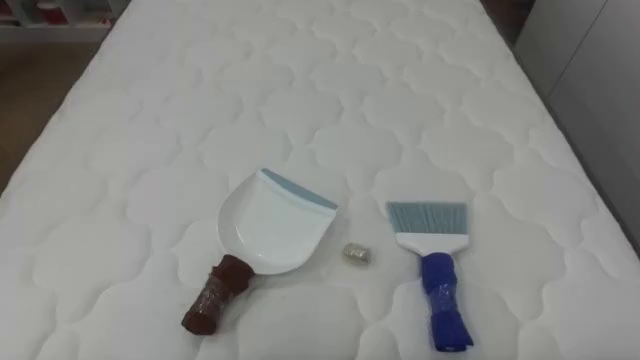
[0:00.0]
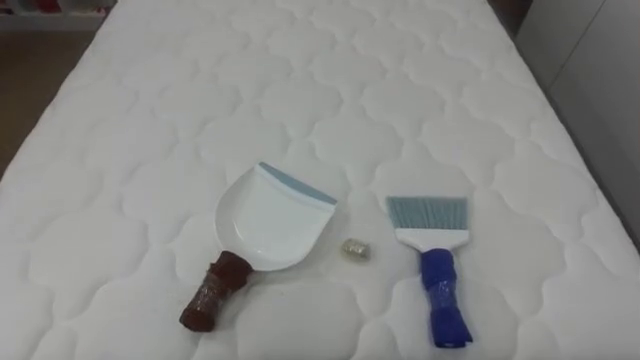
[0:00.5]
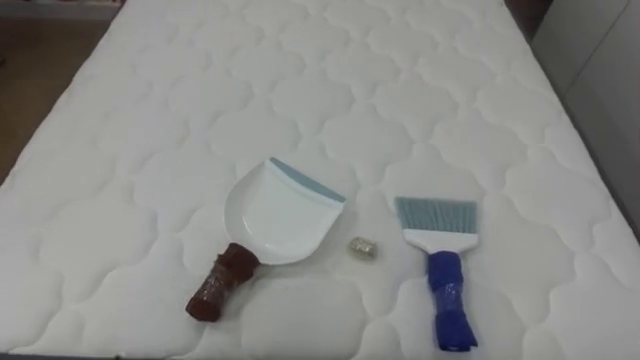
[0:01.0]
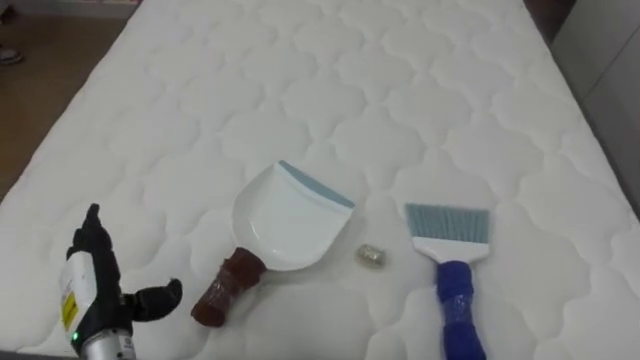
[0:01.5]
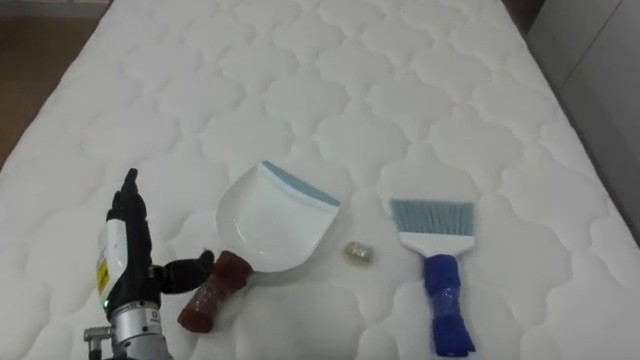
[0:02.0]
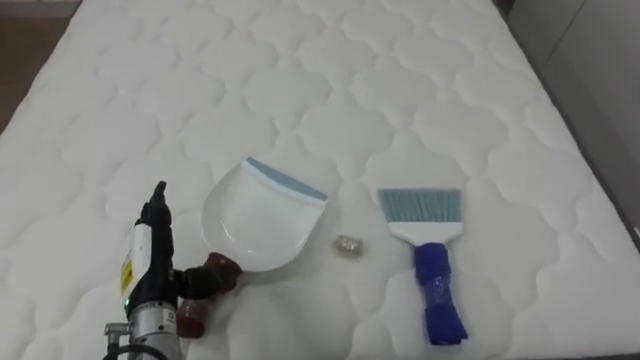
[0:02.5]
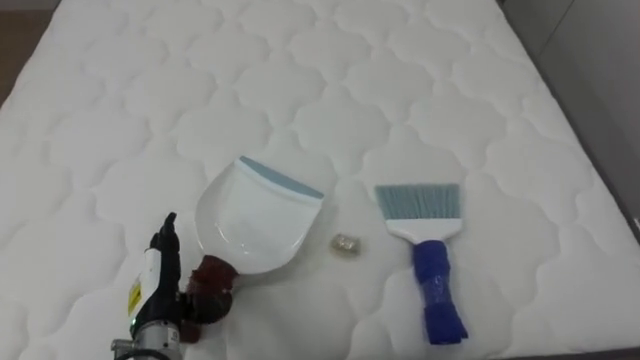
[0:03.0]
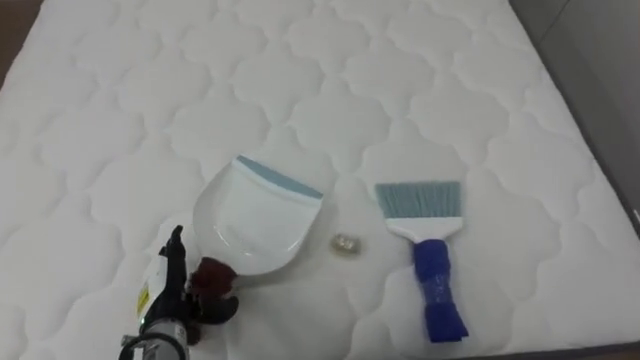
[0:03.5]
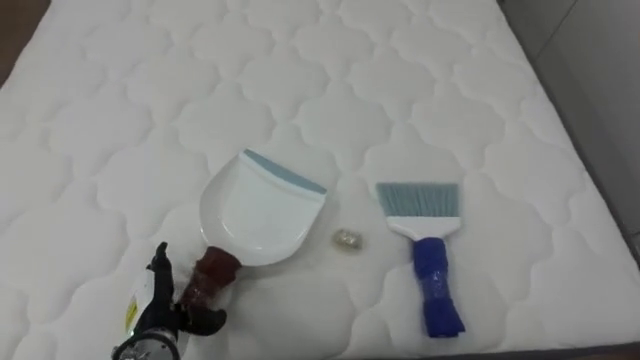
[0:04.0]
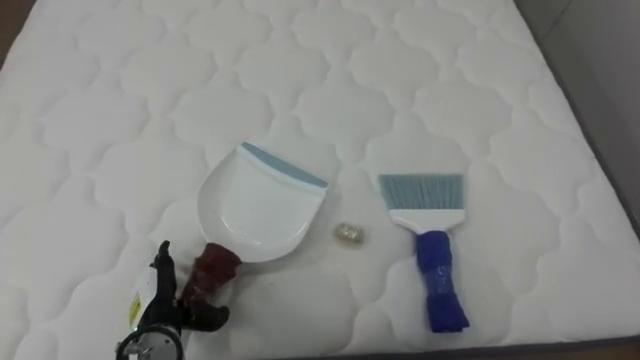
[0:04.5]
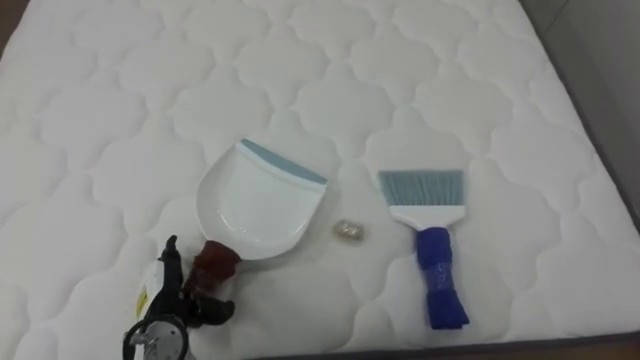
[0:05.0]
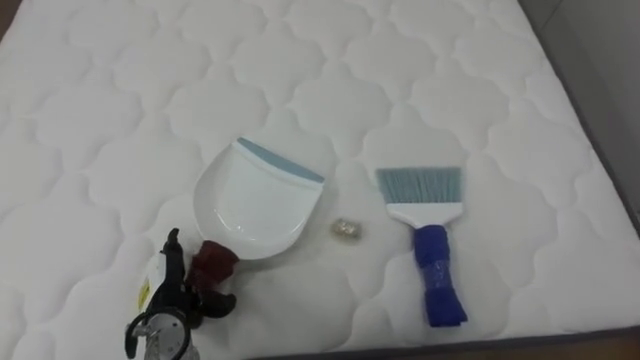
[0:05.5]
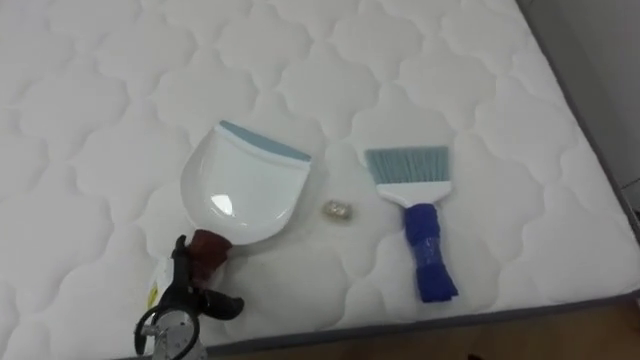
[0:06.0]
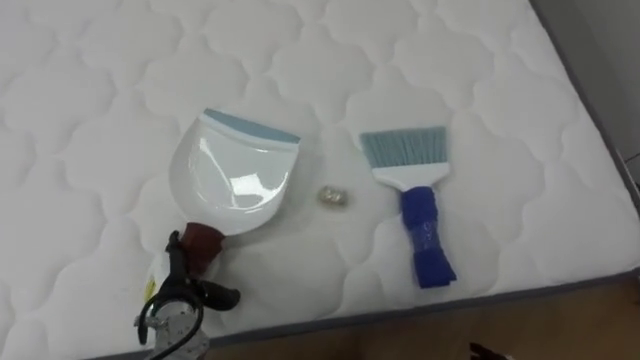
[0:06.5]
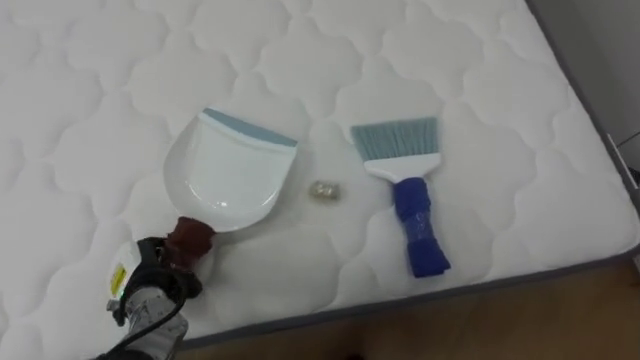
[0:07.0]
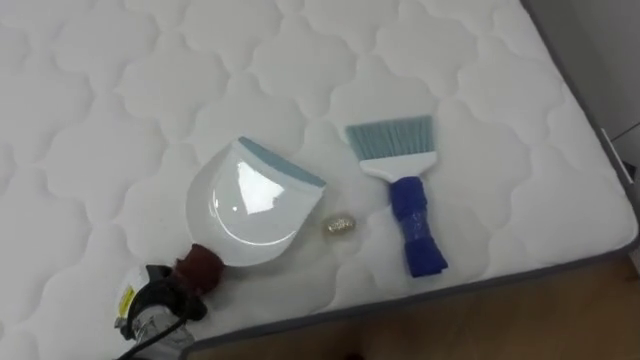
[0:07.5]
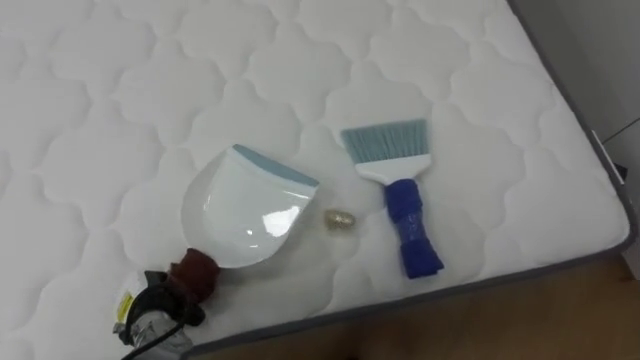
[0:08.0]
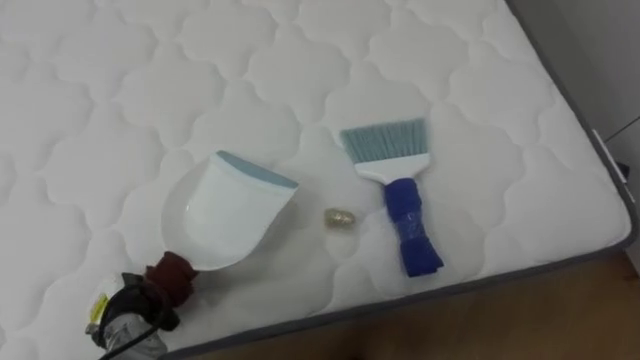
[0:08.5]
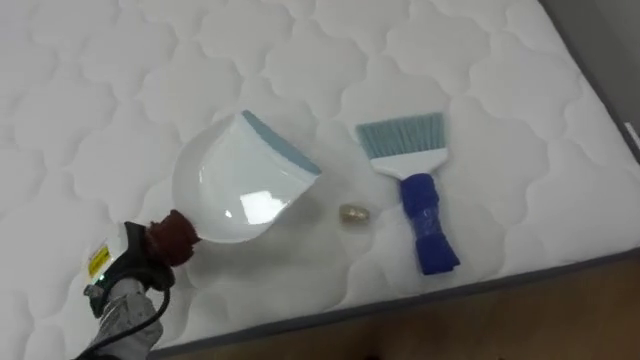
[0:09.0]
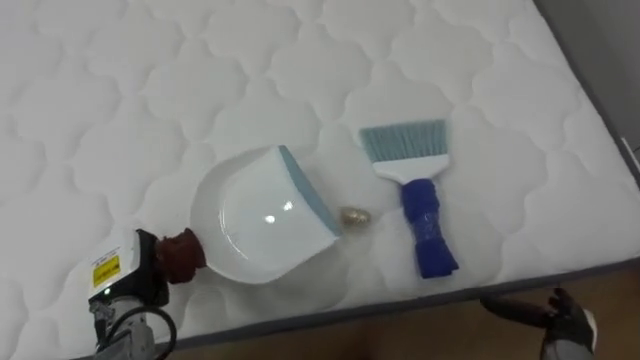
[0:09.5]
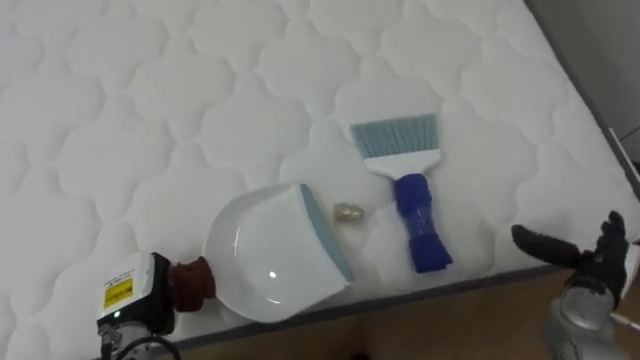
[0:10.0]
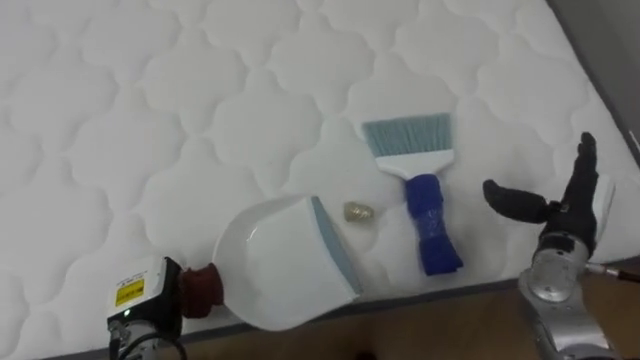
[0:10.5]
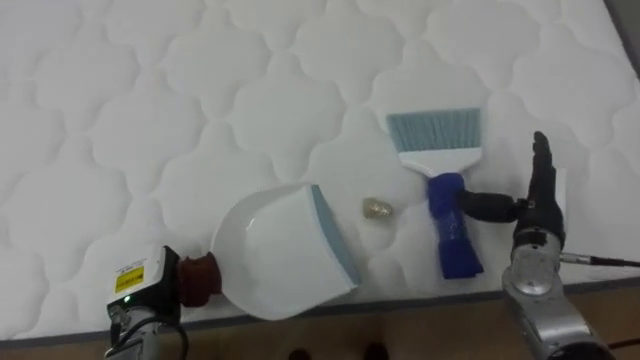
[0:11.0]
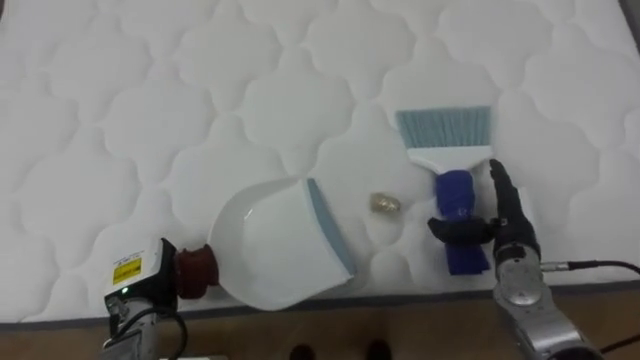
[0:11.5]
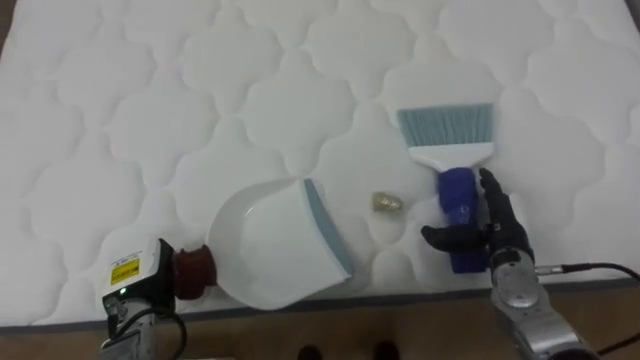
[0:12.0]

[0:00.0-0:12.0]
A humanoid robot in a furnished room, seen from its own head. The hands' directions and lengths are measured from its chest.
Task of the whole recording: Pick up the brush on your right and the dustpan on your left. Use the brush to sweep the crumpled paper on the bed into the dustpan, then turn left and empty it into the basket.
0:02.0 to 0:04.0: The left hand is displaced downward by about 10 cm.
0:06.0 to 0:08.0: The left hand closes.
0:10.0 to 0:12.0: The right hand heads to the left and forward, covering approximately 10 cm.

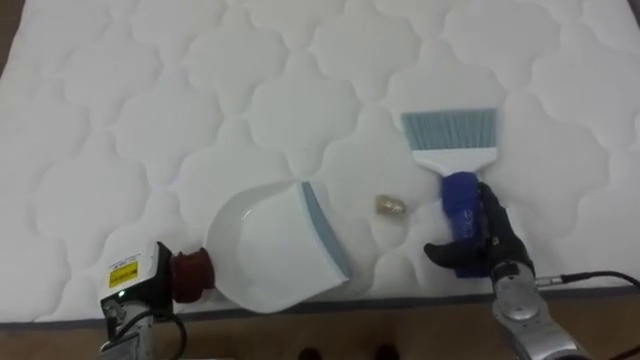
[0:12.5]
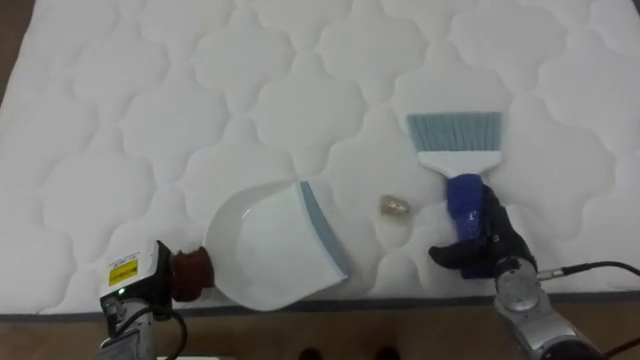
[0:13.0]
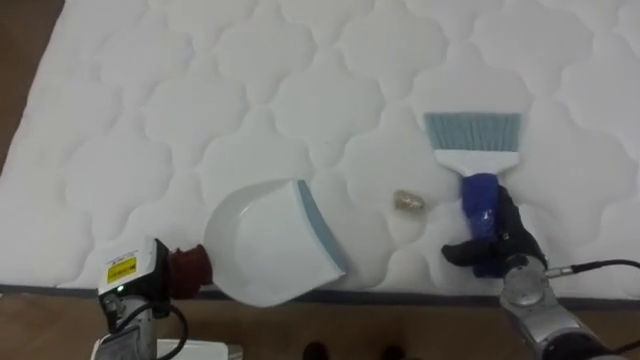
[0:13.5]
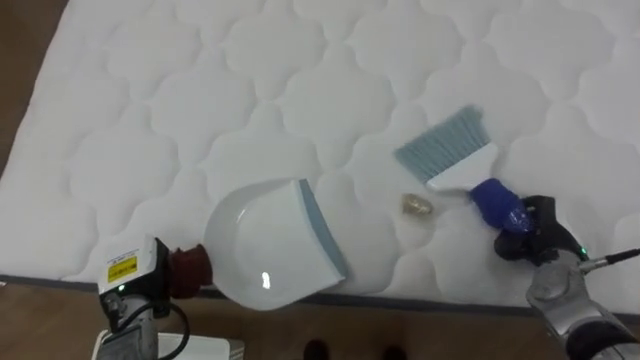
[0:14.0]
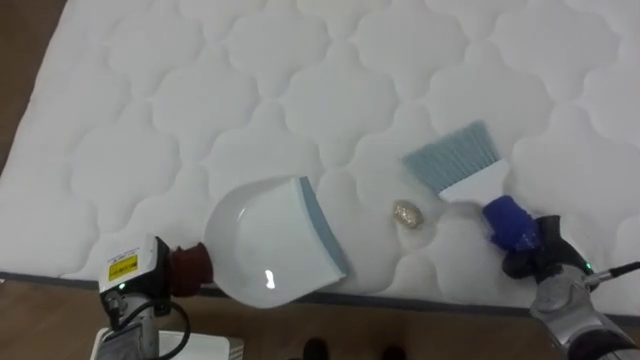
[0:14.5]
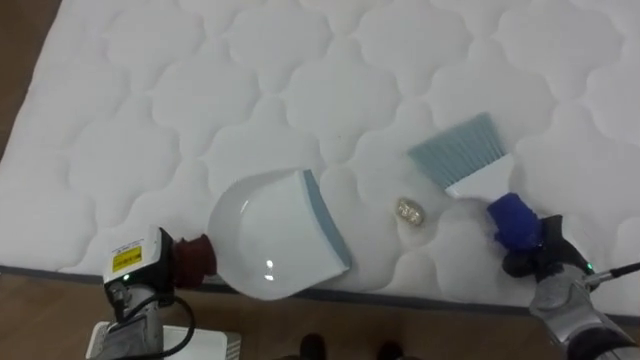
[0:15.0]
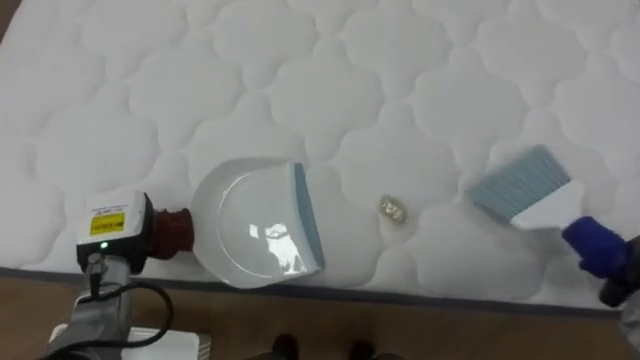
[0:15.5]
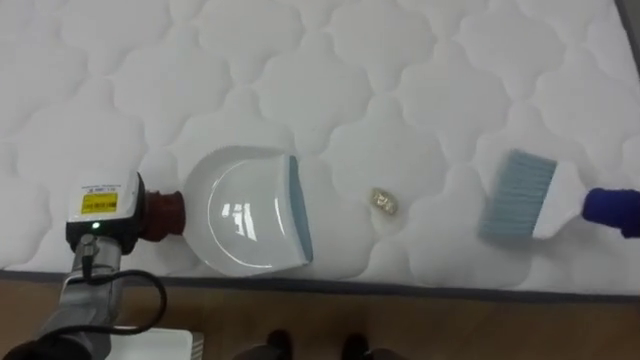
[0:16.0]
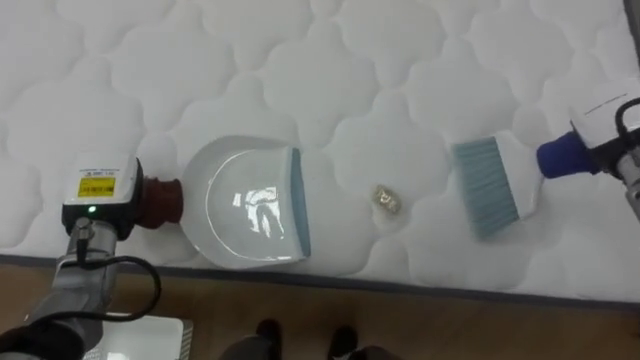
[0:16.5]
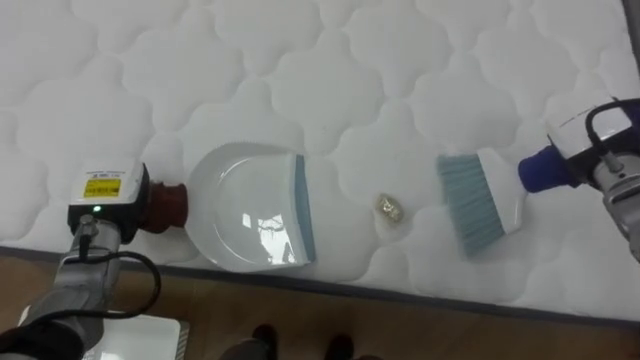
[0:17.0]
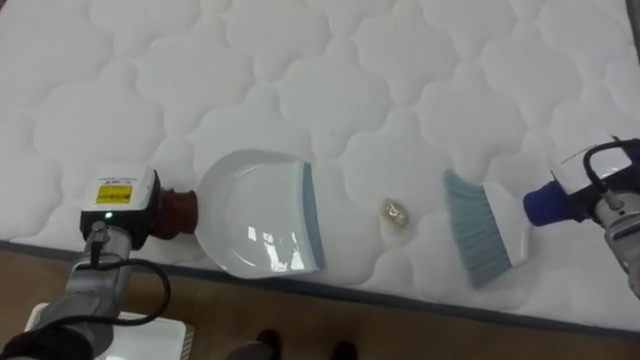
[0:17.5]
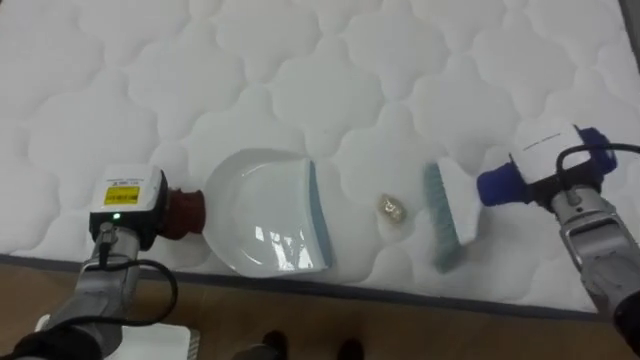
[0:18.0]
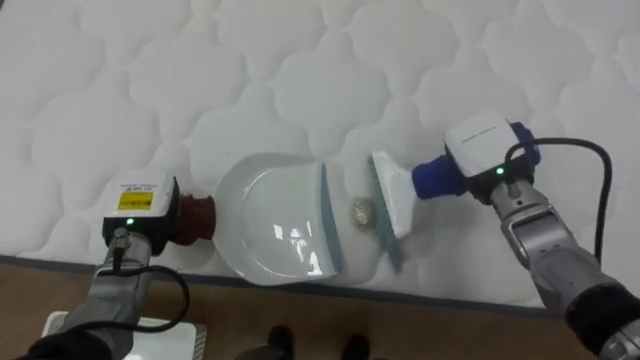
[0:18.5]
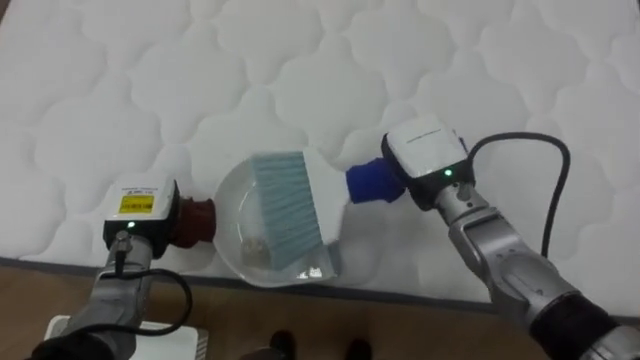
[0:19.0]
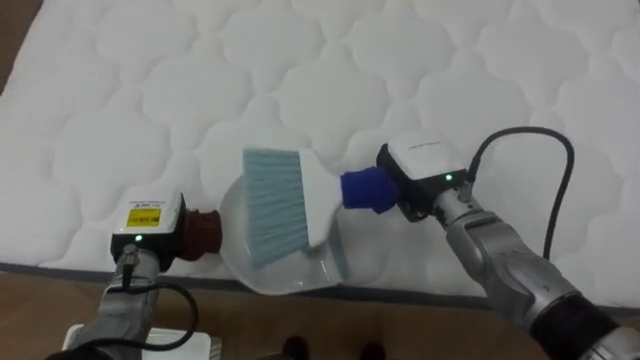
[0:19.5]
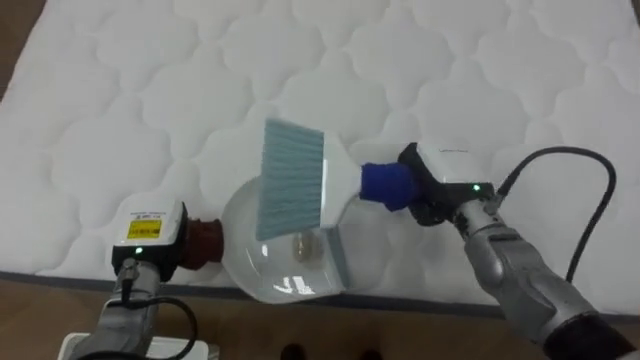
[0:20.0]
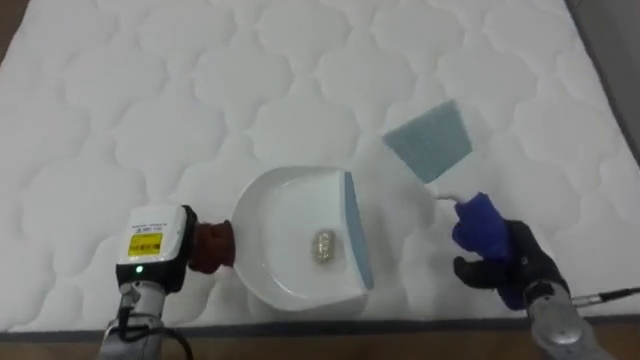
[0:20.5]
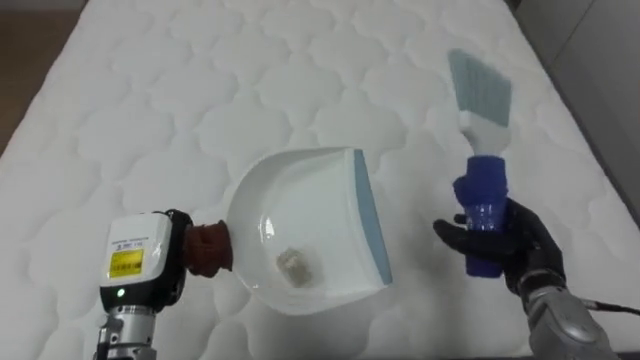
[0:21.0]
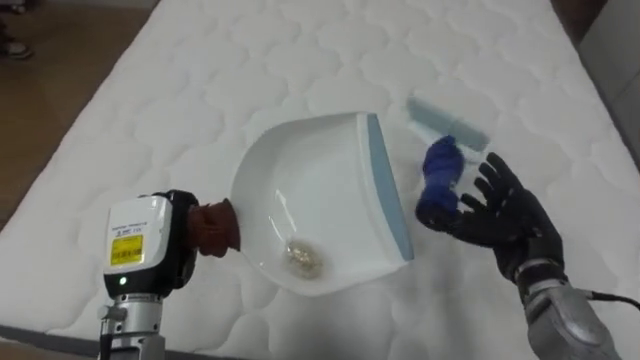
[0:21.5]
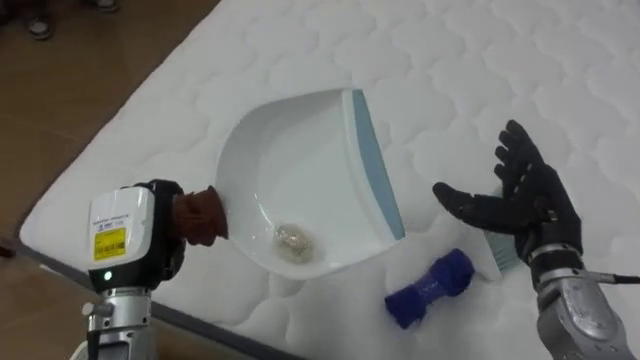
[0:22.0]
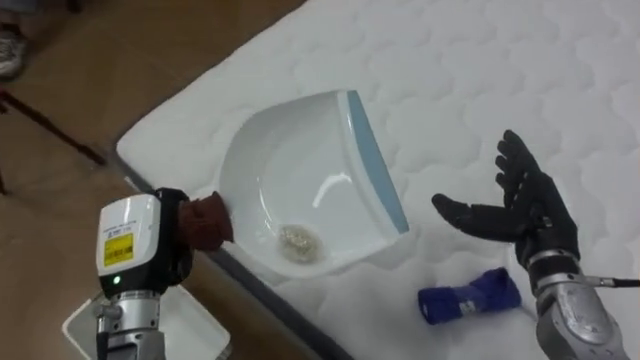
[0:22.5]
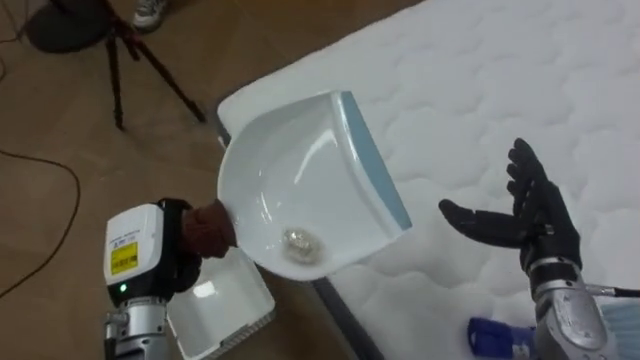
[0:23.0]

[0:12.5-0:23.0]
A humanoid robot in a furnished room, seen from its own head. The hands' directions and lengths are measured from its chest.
Task of the whole recording: Pick up the brush on your right and the dustpan on your left. Use the brush to sweep the crumpled paper on the bed into the dustpan, then turn left and empty it into the basket.
0:12.5 to 0:14.5: The right hand shifts some 10 cm to the right, and closes its fingers.
0:14.5 to 0:16.5: The left hand travels upward and forward by about 10 cm.
0:16.5 to 0:19.0: The left hand moves some 5 cm. The right hand shifts some 25 cm to the left.
0:19.0 to 0:21.0: The right hand goes about 20 cm to the right, downward and backward, and opens up. Meanwhile the left hand shifts approximately 10 cm backward.
0:21.0 to 0:23.0: The robot rotates approximately 55 degrees to its left. The right hand heads upward, covering about 5 cm, and opens.
